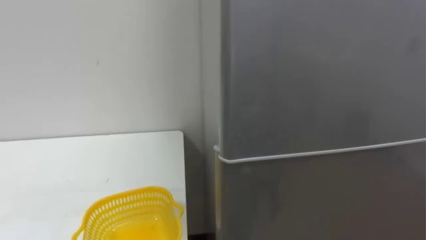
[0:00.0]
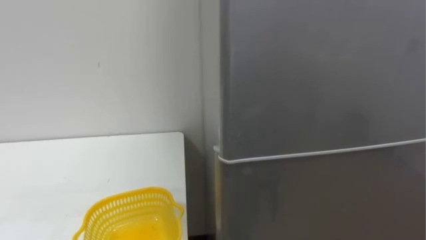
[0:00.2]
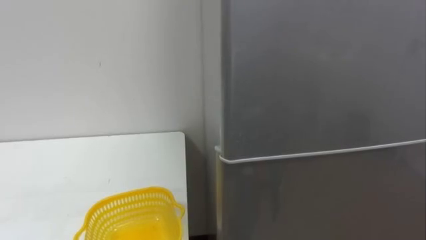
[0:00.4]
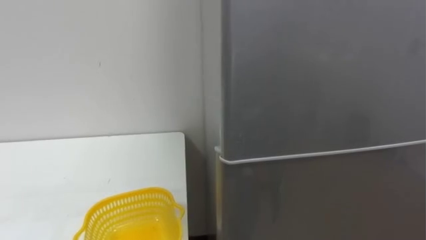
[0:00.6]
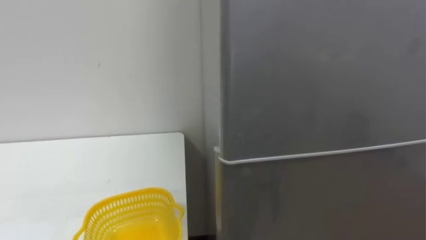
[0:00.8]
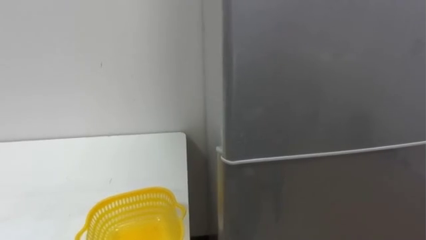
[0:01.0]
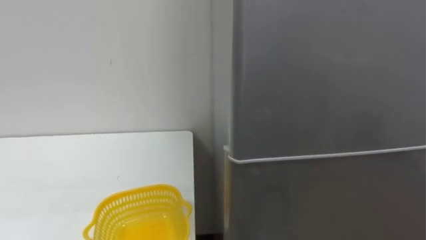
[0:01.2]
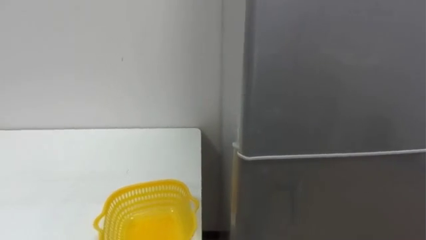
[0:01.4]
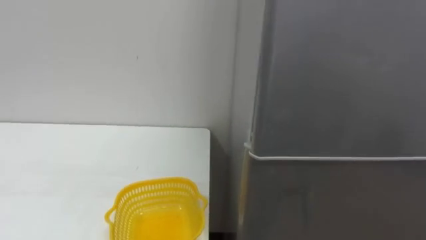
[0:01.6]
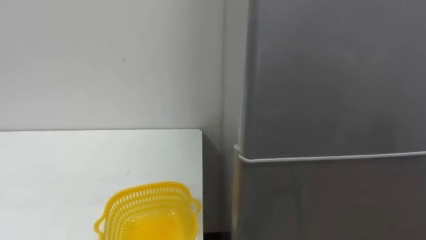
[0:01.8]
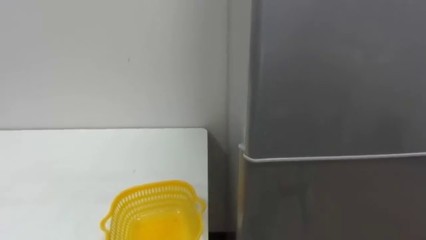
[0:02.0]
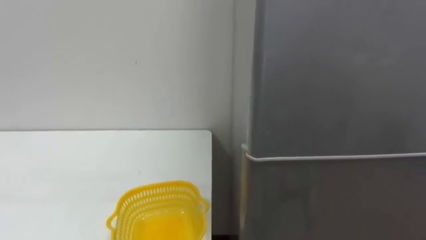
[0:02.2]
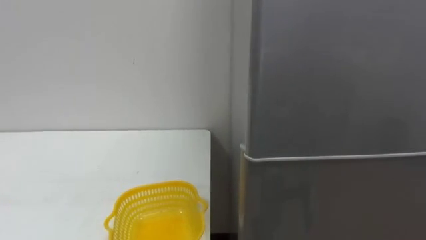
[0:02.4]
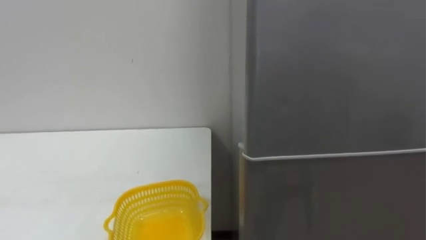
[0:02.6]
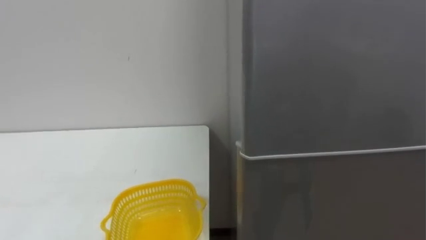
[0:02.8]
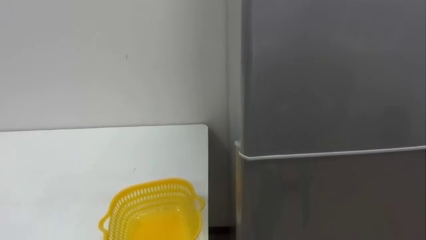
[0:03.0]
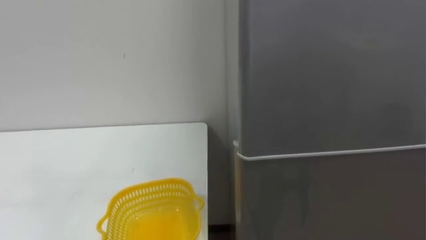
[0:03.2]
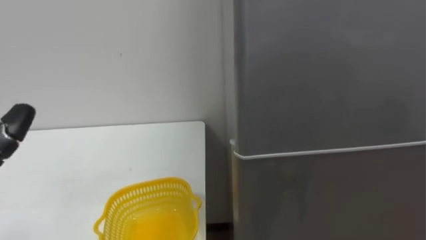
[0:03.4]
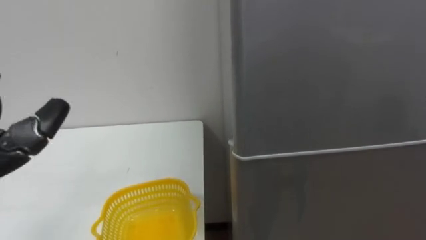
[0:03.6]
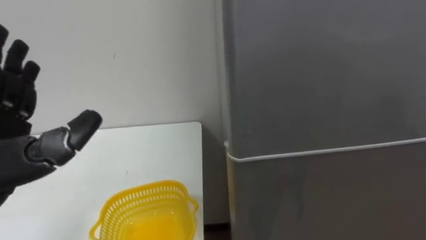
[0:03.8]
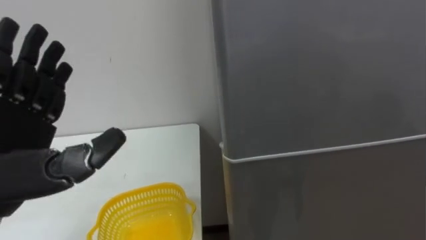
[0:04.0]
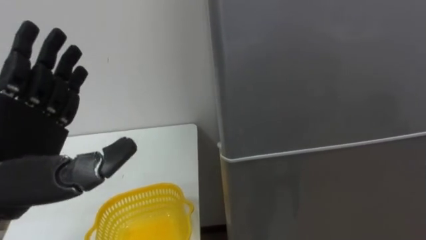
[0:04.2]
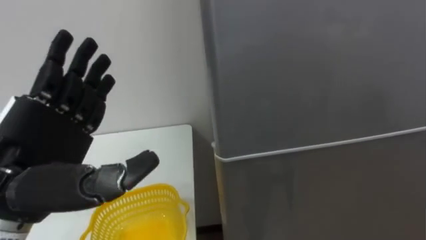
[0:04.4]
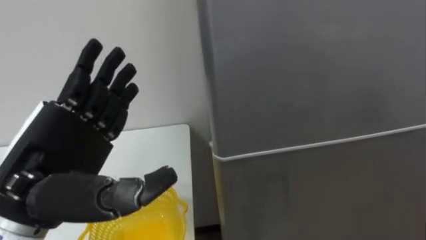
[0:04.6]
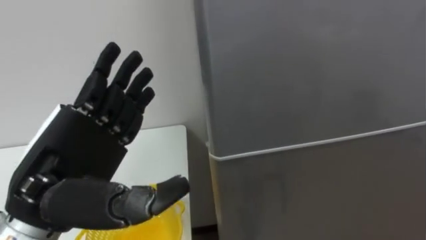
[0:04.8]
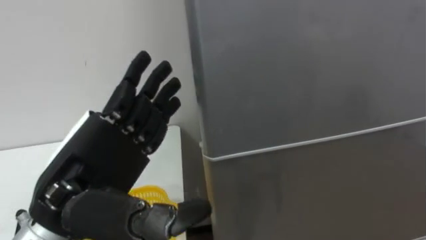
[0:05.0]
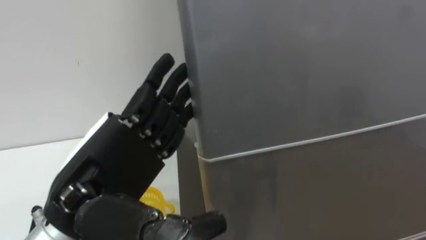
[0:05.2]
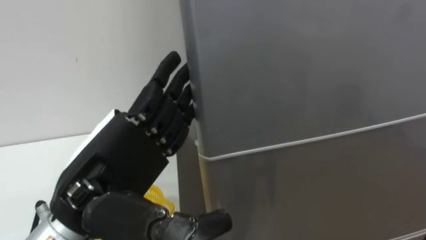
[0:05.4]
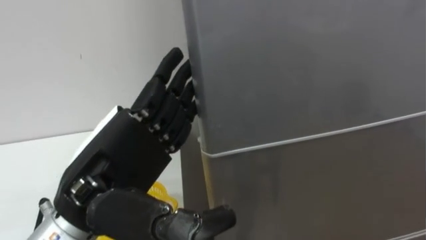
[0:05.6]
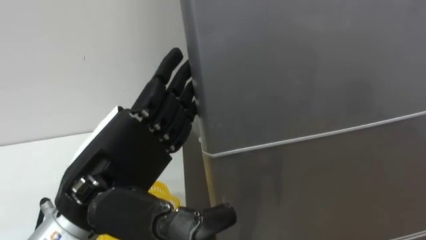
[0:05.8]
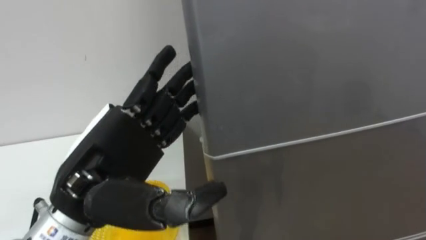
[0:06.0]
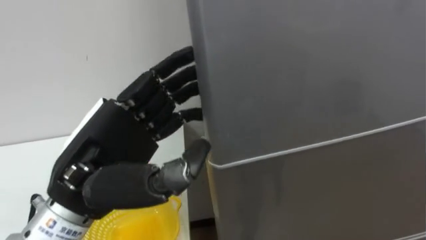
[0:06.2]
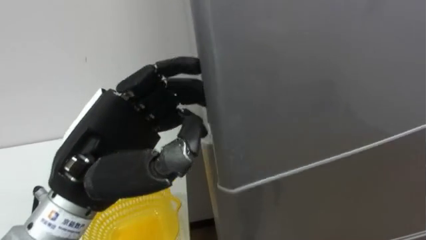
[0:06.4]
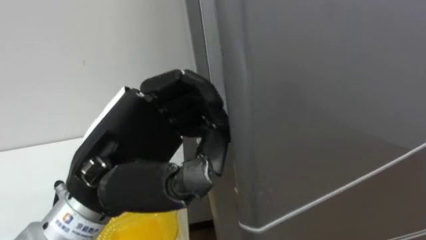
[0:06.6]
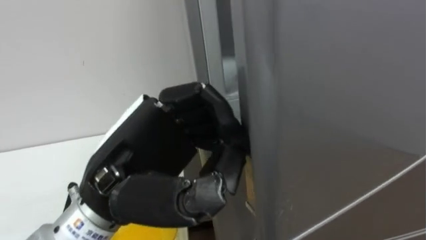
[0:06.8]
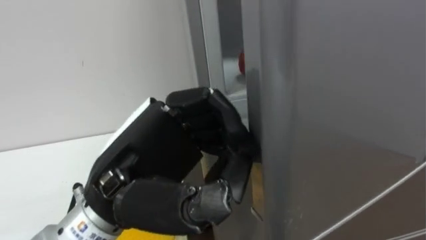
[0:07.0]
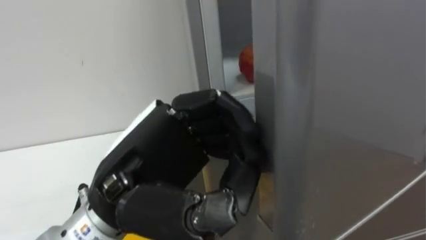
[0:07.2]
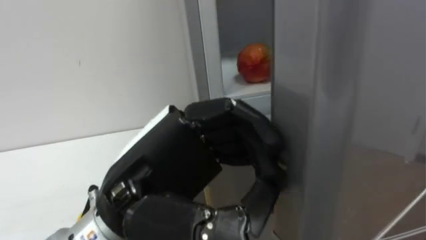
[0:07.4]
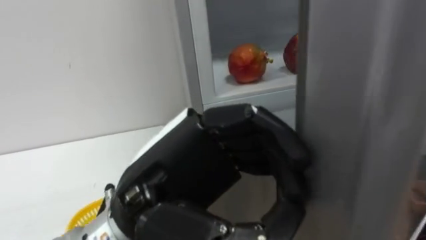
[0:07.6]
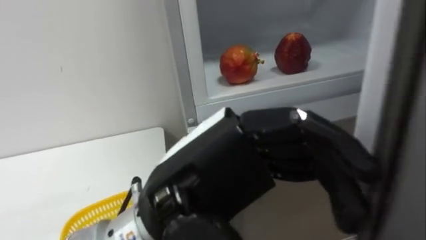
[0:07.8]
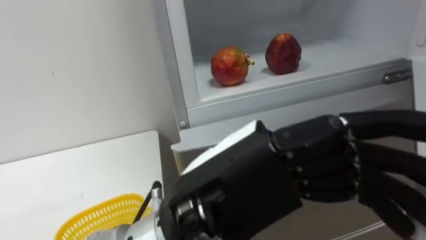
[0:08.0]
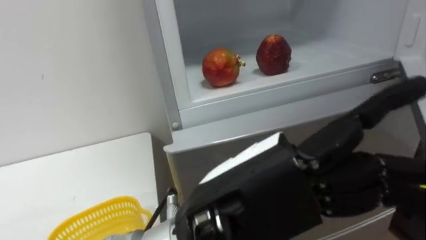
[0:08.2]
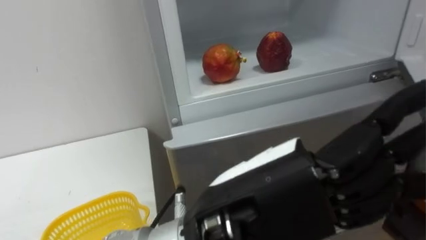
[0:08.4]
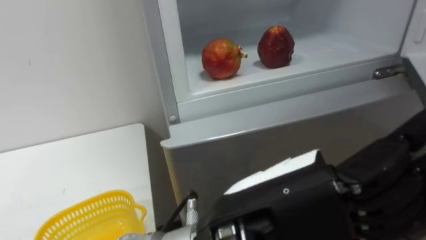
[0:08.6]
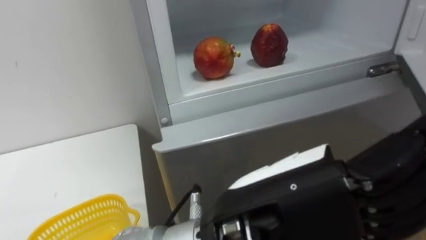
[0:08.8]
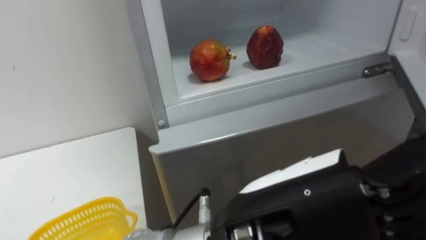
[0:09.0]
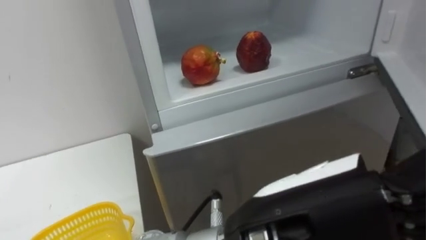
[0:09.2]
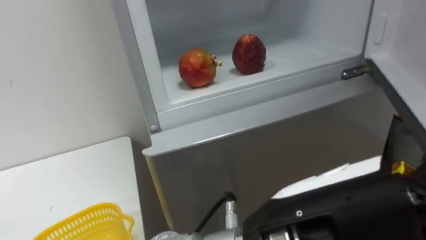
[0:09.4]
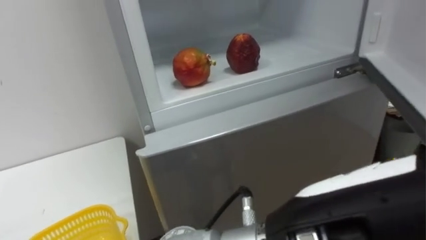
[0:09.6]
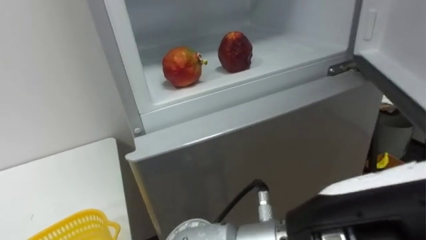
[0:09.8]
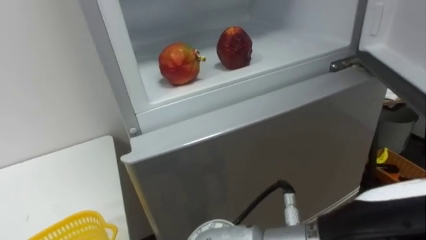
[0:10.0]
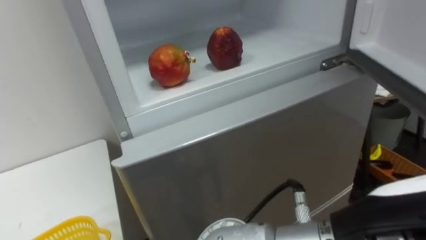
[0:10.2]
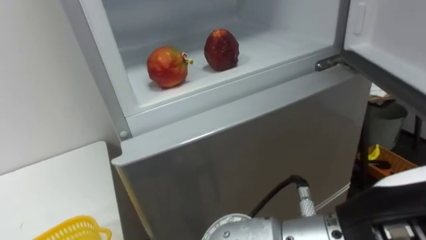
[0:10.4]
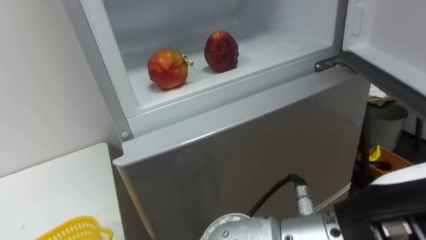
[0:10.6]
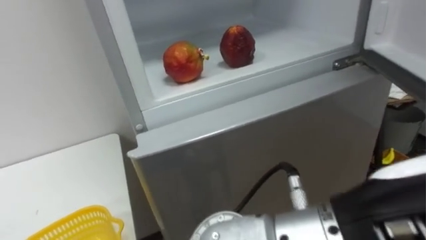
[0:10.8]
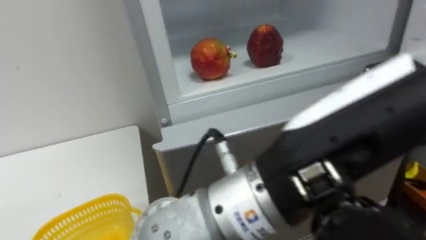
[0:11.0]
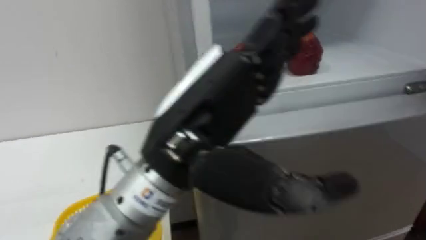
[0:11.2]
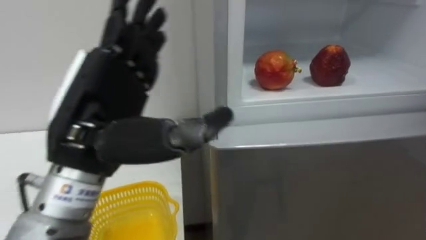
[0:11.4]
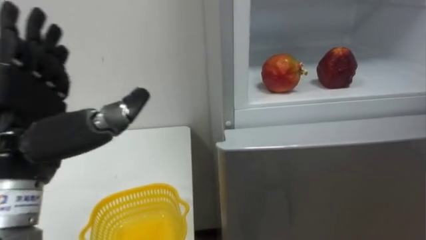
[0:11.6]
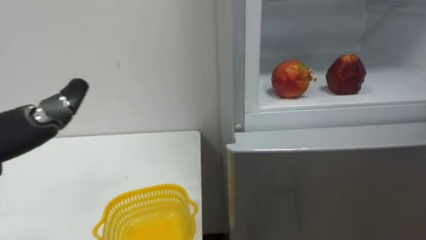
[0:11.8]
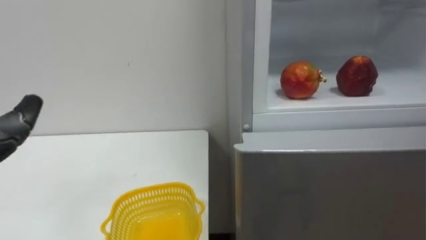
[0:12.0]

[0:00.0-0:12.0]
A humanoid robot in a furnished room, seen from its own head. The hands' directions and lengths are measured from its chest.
Task of the whole recording: Open the refrigerator door, take out the apple and the pomegranate, place them in the fruit basket on the left, and close the refrigerator door.
0:04.4 to 0:06.0: The left hand moves to the right, about 10 cm.
0:06.0 to 0:07.6: The left hand moves to the right, some 5 cm, and closes and opens again.
0:07.6 to 0:09.0: The left hand moves to the right and backward, about 10 cm, and opens.
0:09.0 to 0:10.4: The left hand heads to the right, covering some 10 cm.

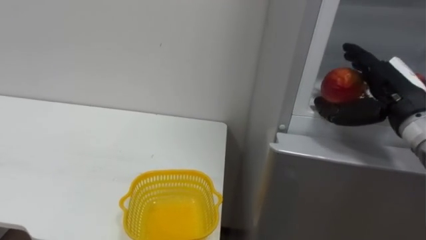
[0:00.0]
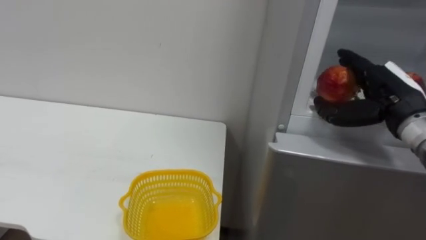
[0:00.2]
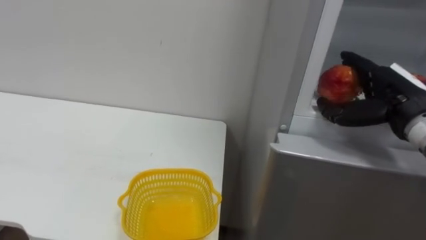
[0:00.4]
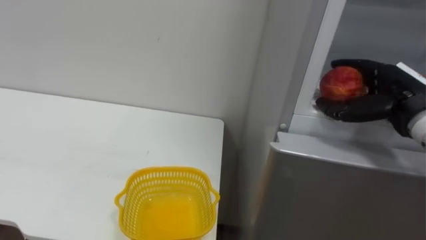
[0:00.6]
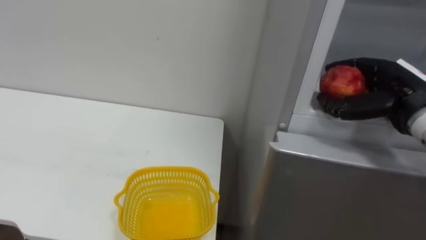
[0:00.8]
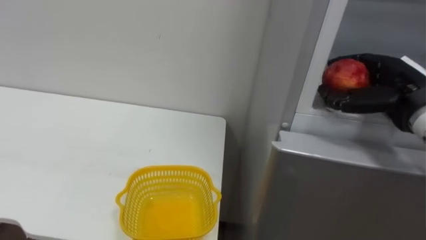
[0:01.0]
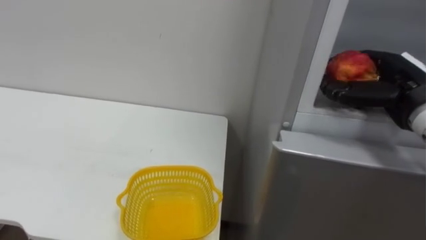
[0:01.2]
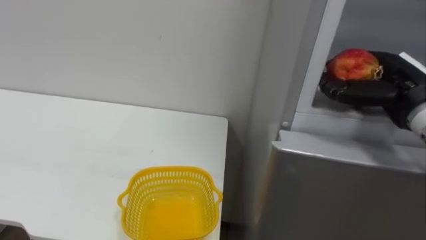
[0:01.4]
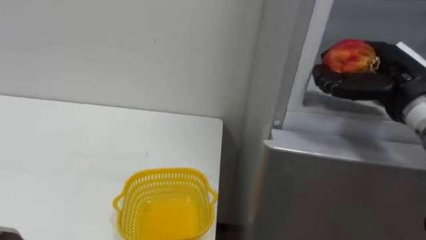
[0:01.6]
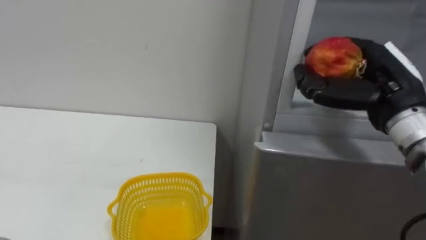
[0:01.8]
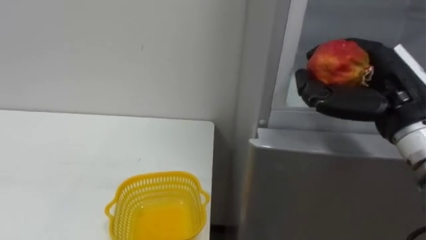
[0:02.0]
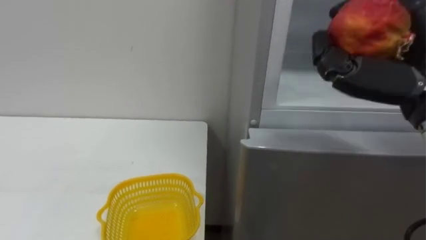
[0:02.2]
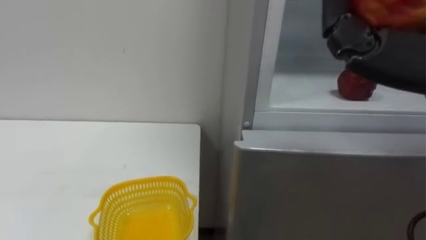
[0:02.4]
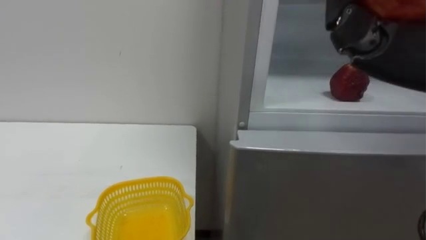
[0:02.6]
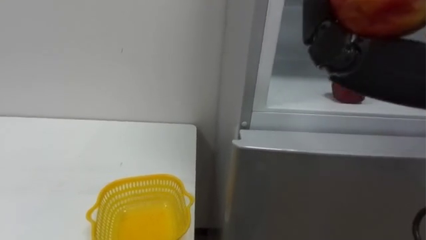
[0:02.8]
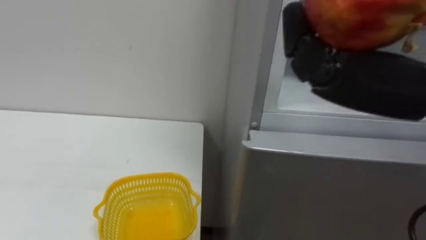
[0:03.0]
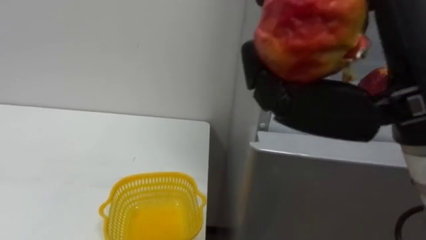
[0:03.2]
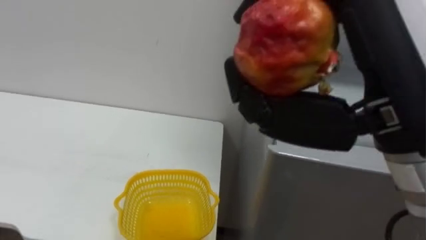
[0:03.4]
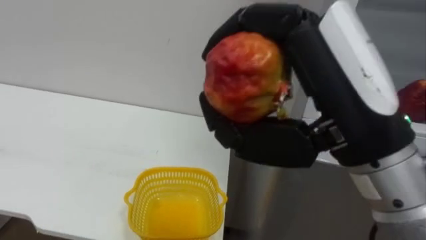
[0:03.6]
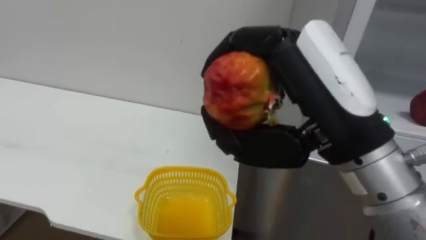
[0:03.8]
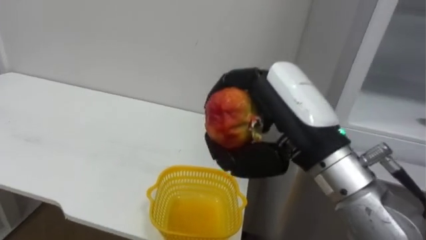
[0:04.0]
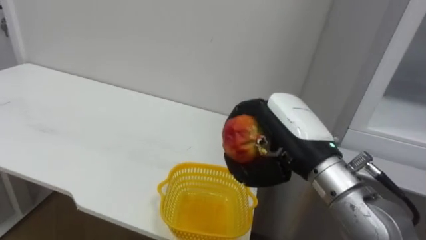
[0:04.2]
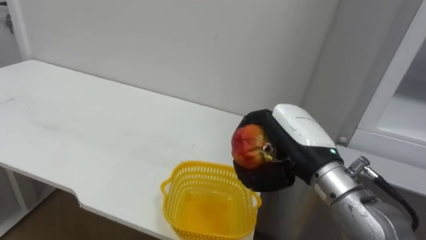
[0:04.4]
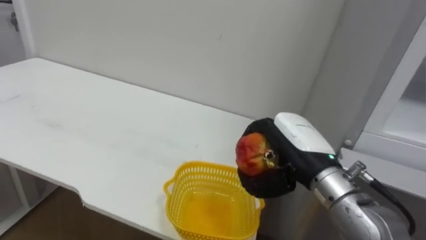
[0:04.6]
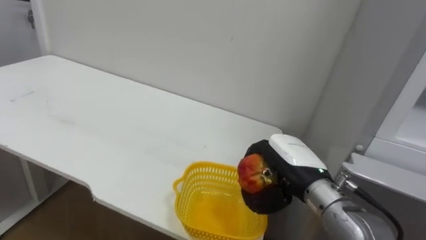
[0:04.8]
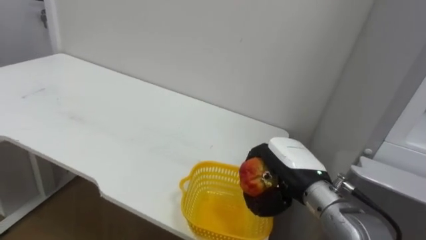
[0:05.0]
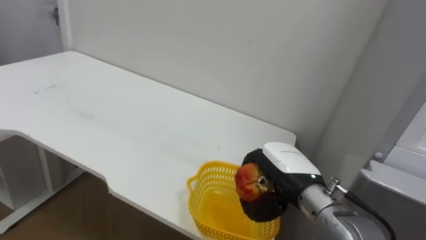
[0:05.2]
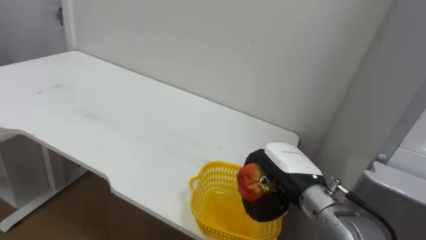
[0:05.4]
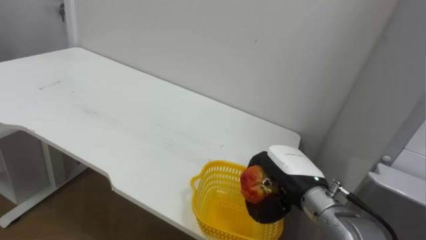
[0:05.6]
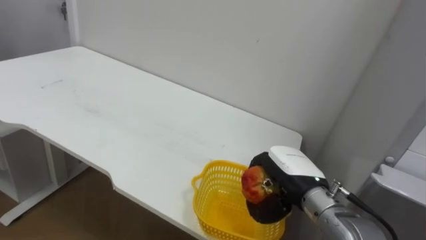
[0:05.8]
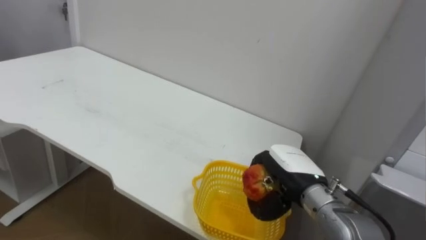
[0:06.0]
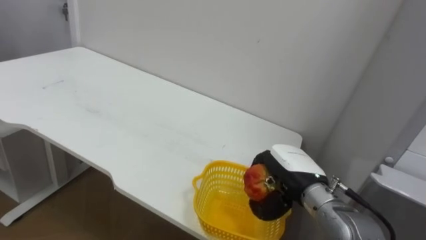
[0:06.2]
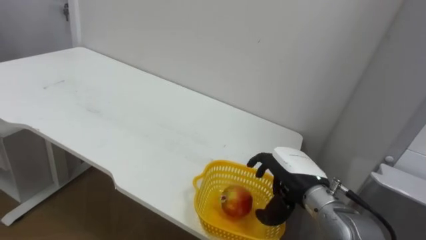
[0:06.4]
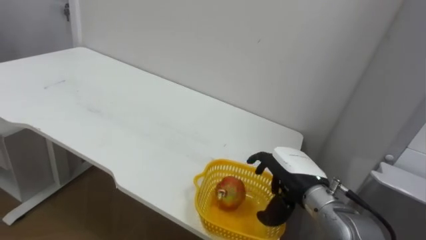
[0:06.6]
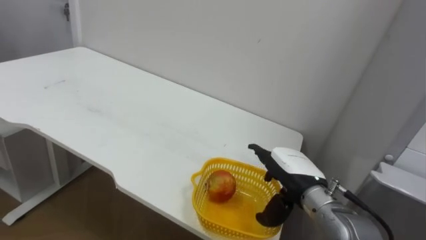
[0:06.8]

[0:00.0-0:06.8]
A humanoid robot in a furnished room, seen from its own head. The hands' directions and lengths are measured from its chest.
Task of the whole recording: Open the refrigerator door, take out the apple and the pomegranate, place them in the fruit basket on the left, and close the refrigerator door.
0:00.0 to 0:01.4: The right hand closes up.
0:04.0 to 0:05.4: The right hand shifts about 20 cm downward and forward.
0:05.4 to 0:06.8: The right hand opens its fingers.
